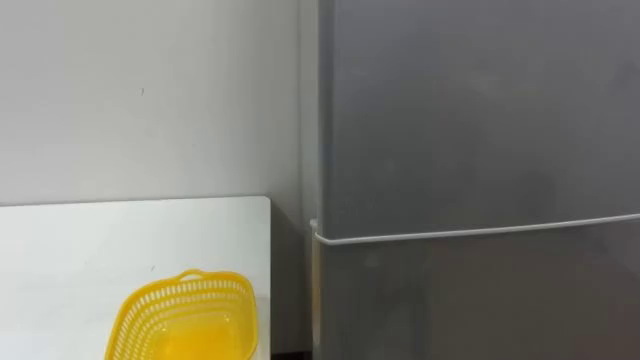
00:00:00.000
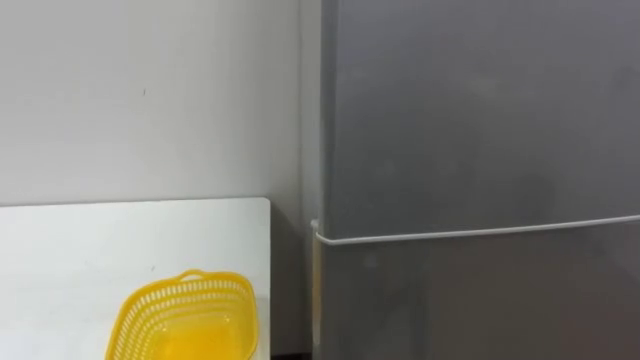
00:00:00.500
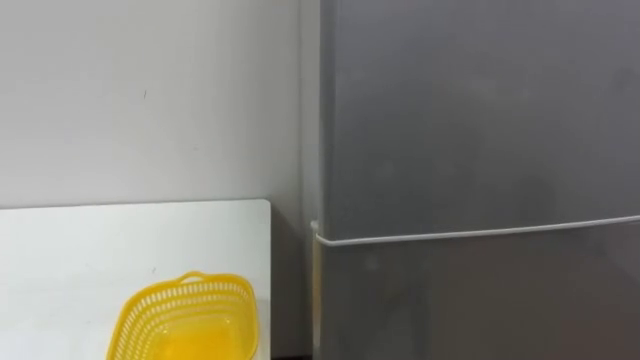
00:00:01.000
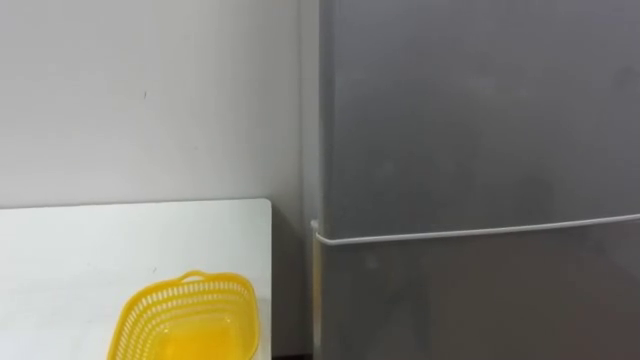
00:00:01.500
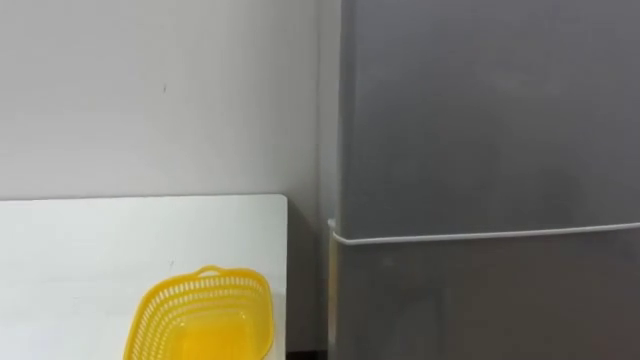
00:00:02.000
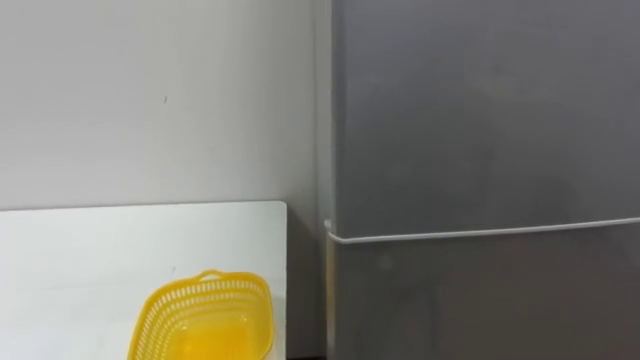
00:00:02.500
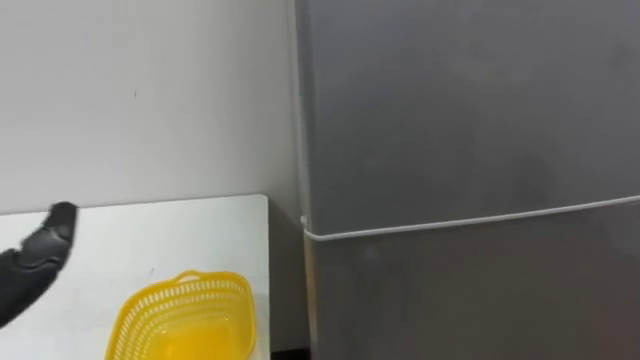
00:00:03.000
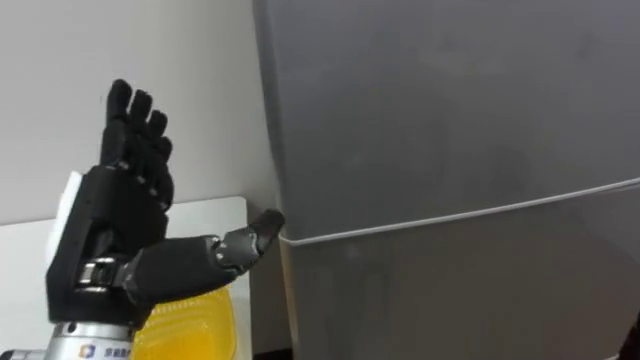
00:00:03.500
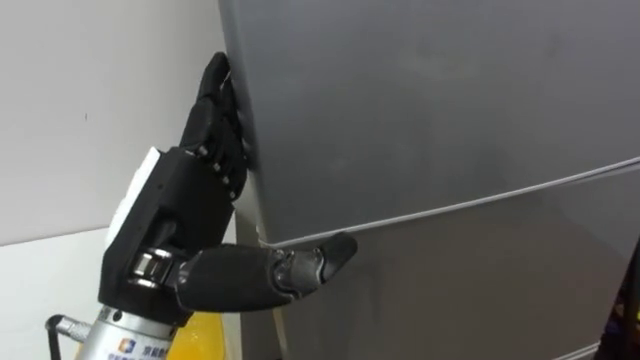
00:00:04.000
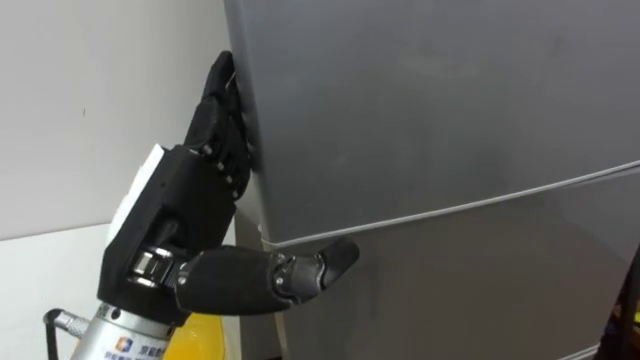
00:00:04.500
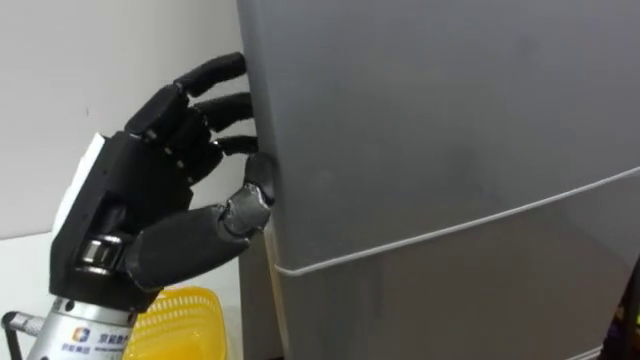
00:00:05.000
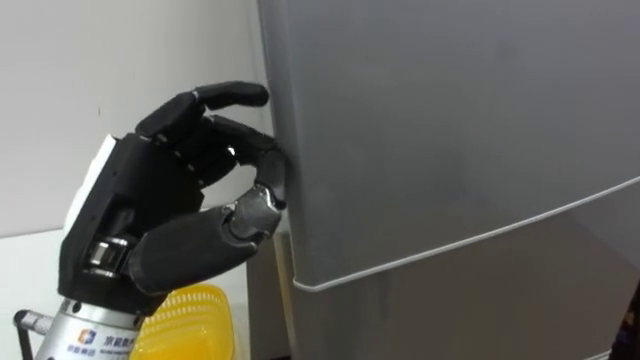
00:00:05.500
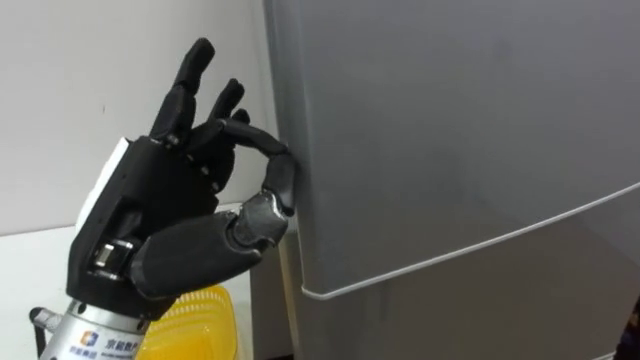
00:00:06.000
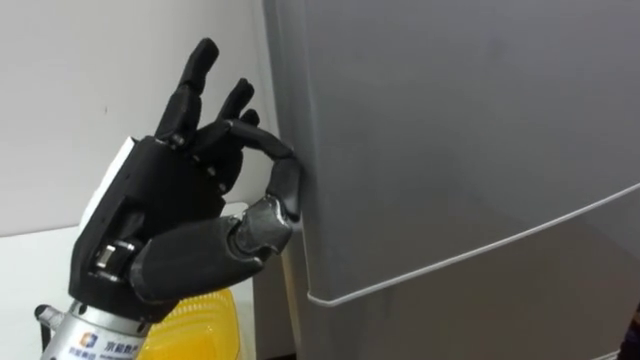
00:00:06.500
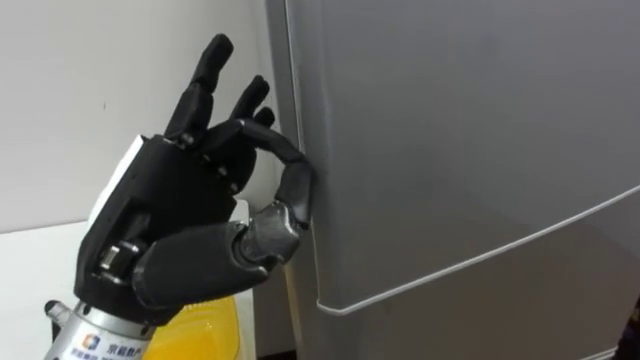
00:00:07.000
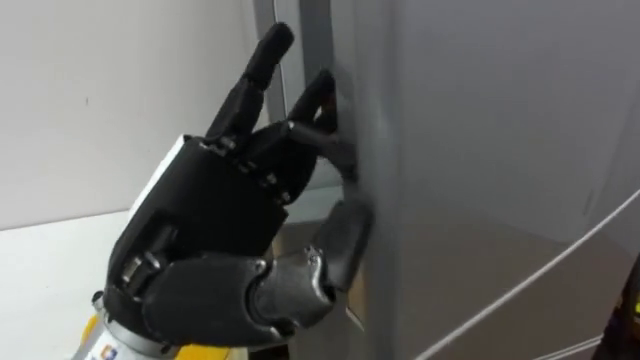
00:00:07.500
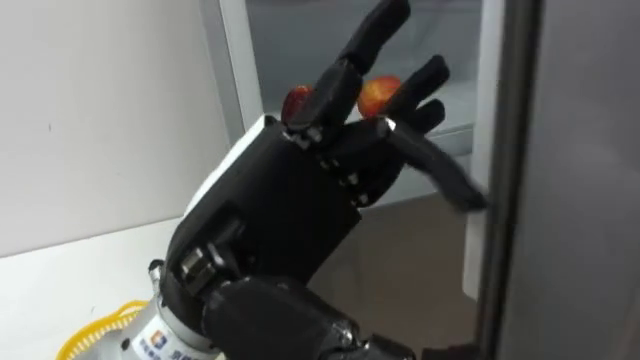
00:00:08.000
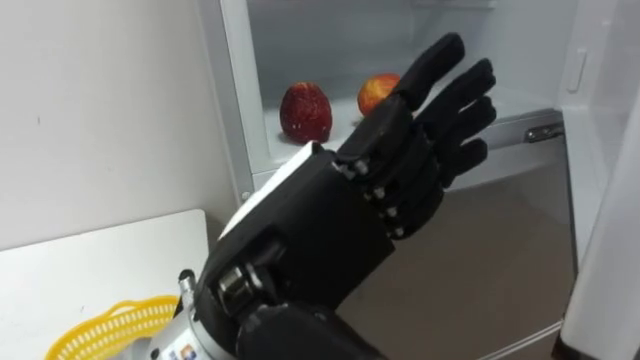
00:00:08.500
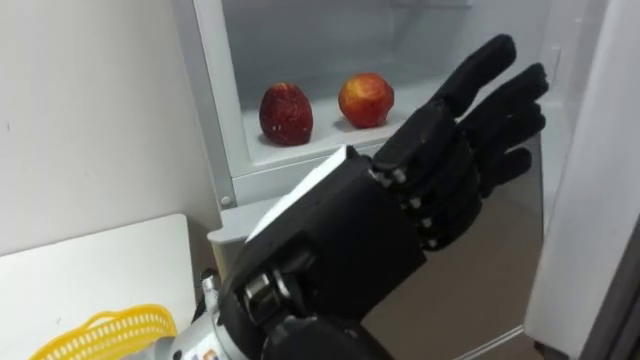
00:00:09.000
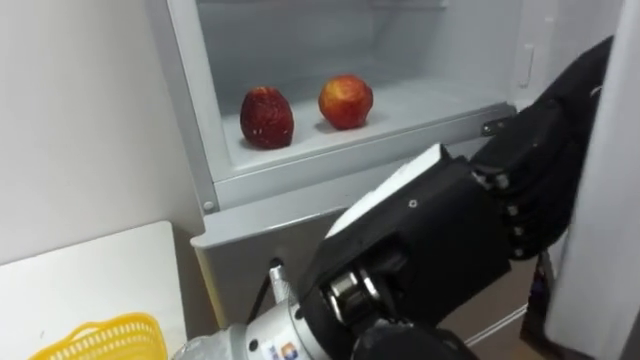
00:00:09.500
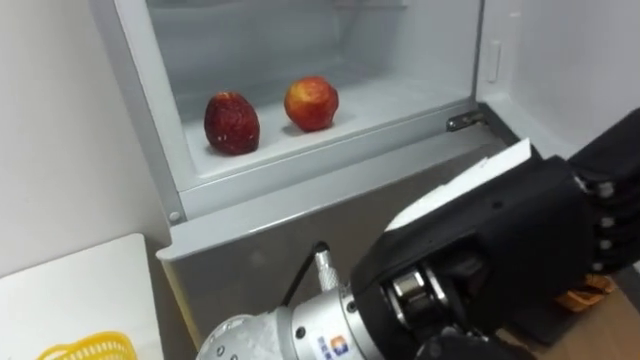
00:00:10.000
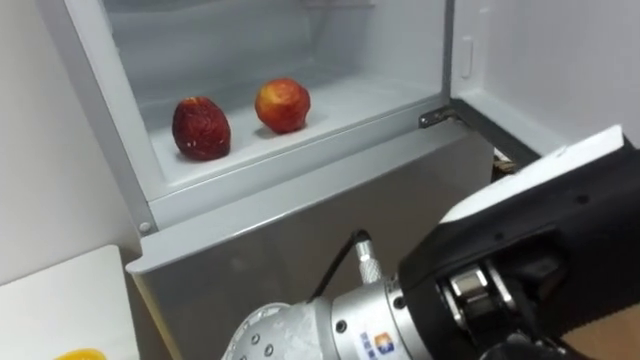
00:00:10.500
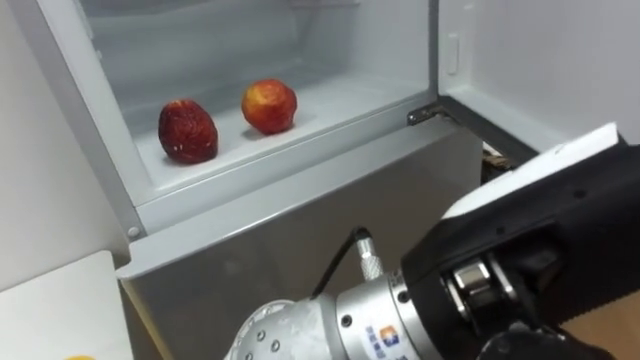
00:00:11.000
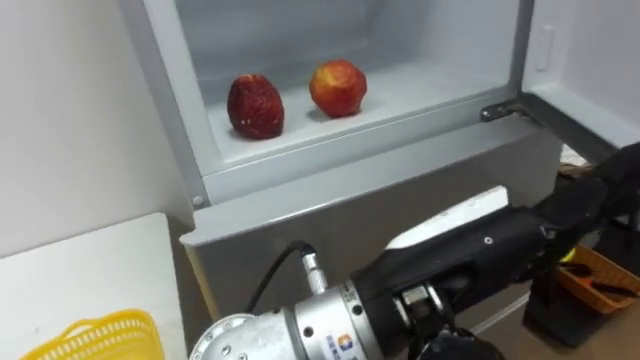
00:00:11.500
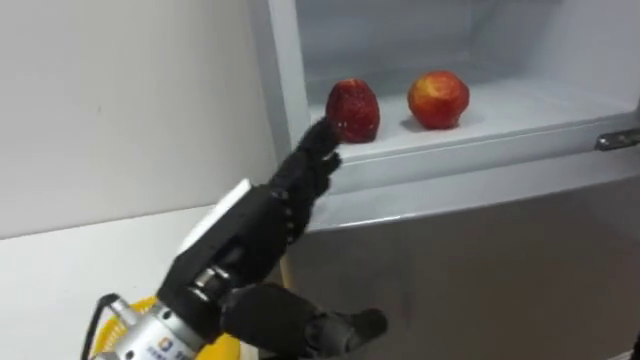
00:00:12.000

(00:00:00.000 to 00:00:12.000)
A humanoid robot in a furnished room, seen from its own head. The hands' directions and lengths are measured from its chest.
Task of the whole recording: Open the refrigerator door, take out the apple and the pomegranate, place them in the fruit basket on the left, and close the refrigerator door.
00:00:04.000 - 00:00:06.000: The left hand closes, then reopens.
00:00:06.000 - 00:00:08.000: The left hand goes approximately 10 cm to the right.
00:00:08.000 - 00:00:10.000: The left hand goes some 10 cm to the right.
00:00:10.000 - 00:00:12.000: The left hand goes approximately 15 cm to the left, forward and downward.

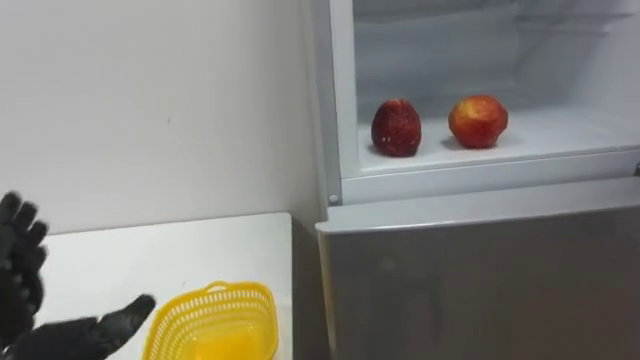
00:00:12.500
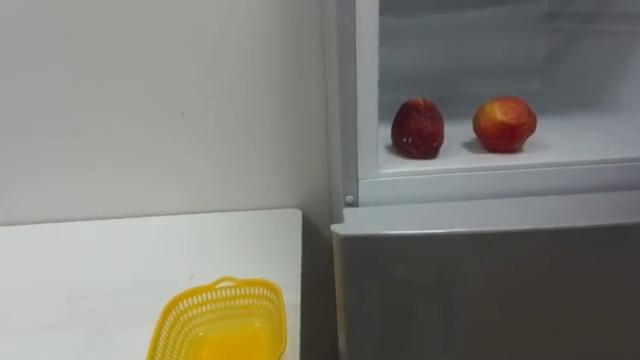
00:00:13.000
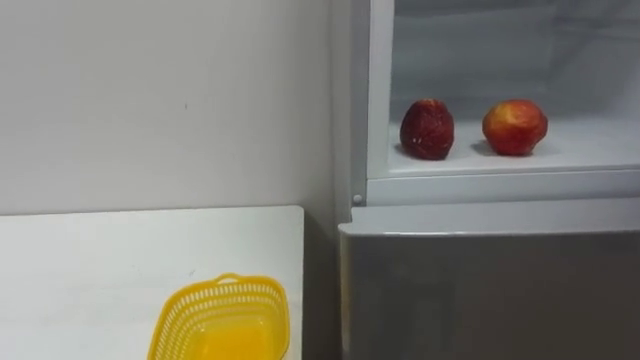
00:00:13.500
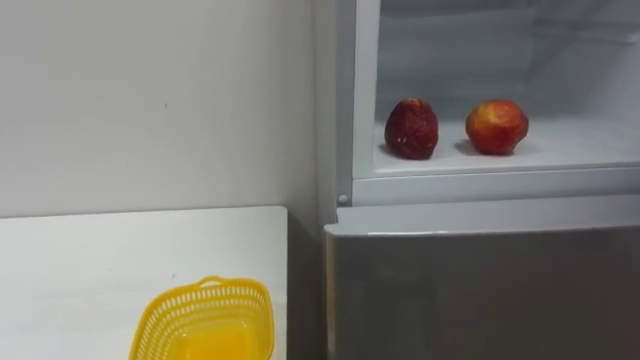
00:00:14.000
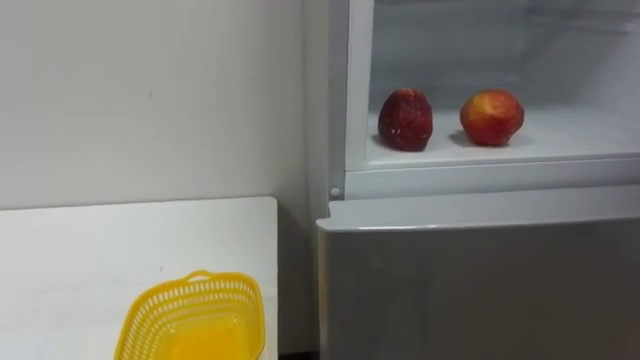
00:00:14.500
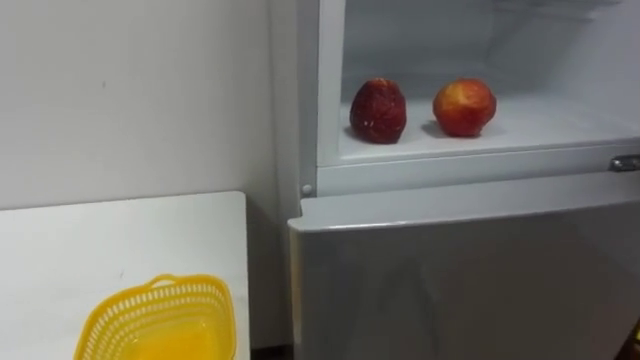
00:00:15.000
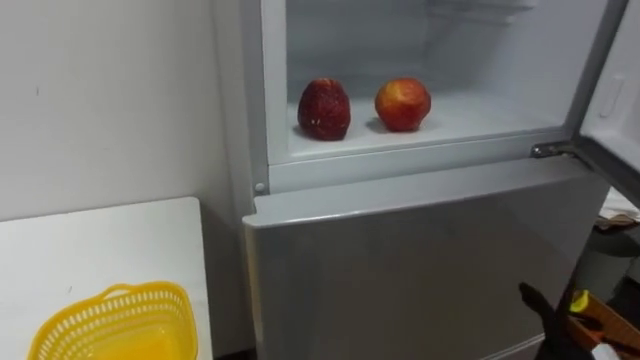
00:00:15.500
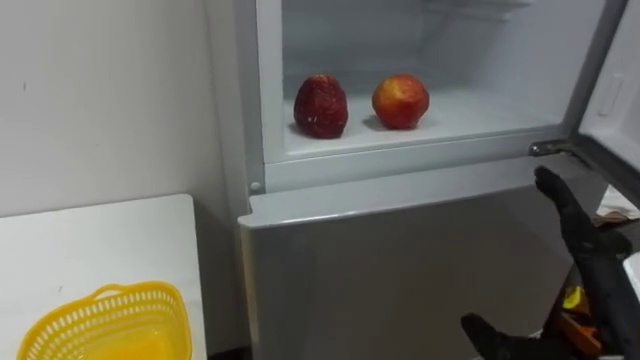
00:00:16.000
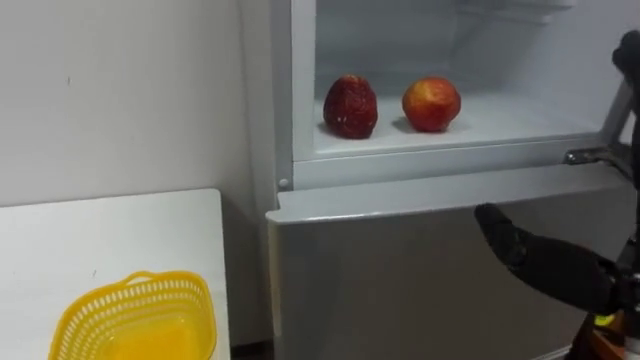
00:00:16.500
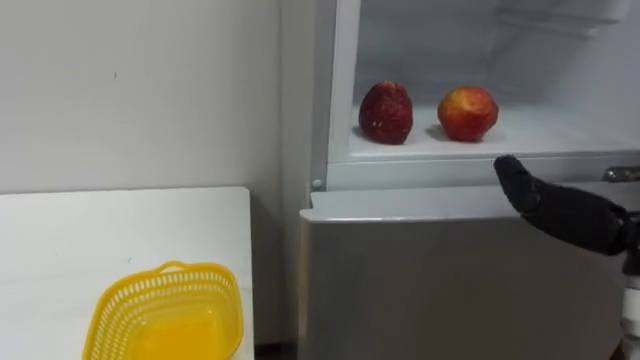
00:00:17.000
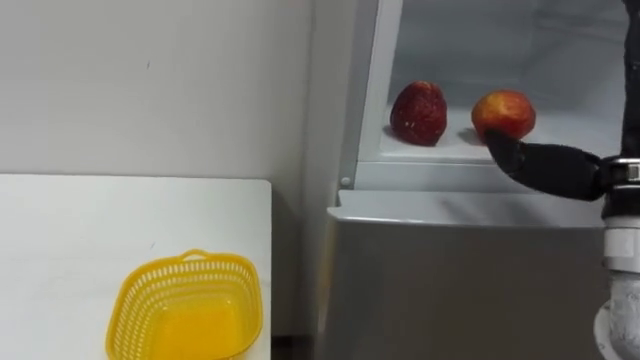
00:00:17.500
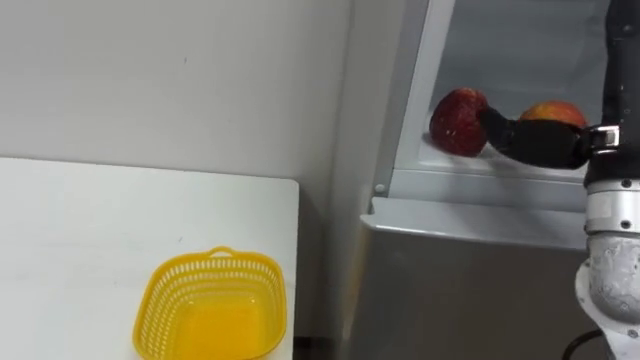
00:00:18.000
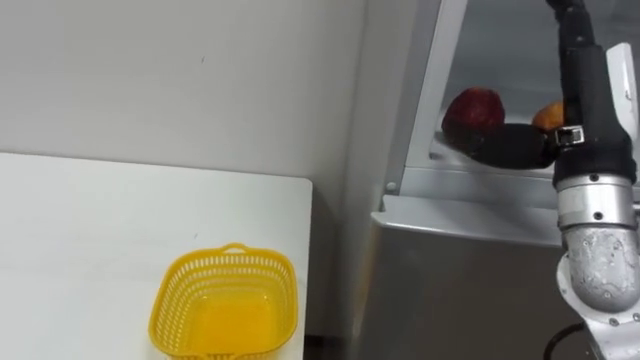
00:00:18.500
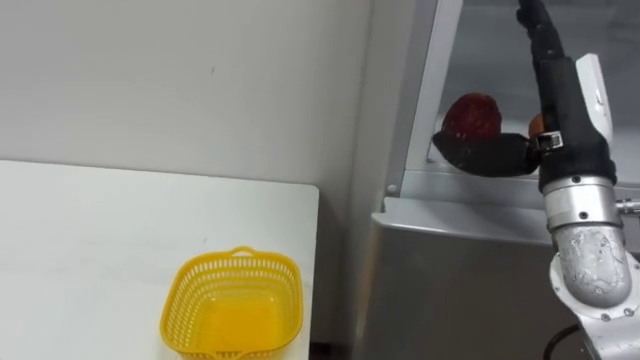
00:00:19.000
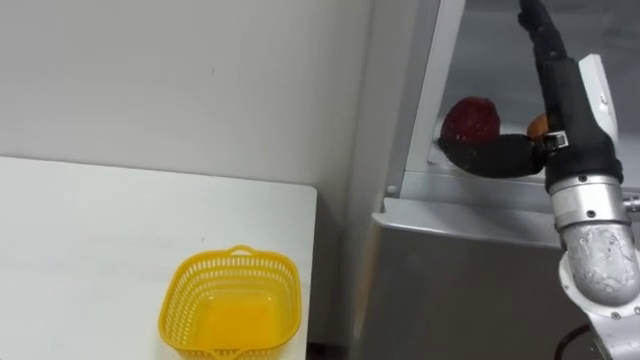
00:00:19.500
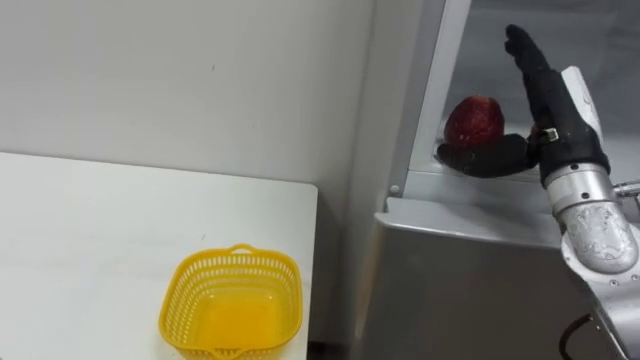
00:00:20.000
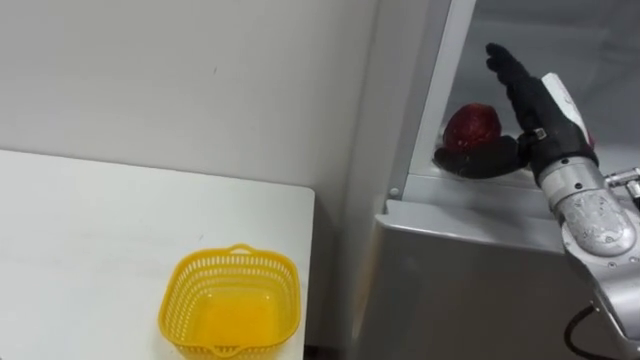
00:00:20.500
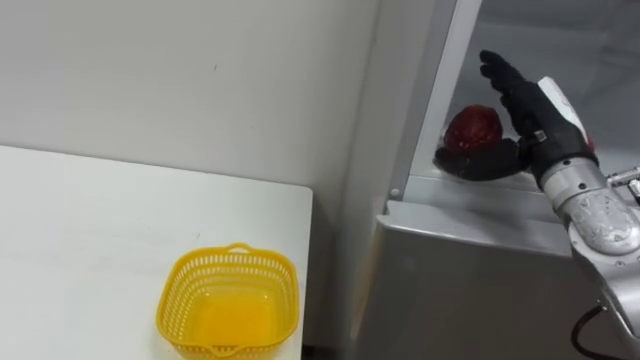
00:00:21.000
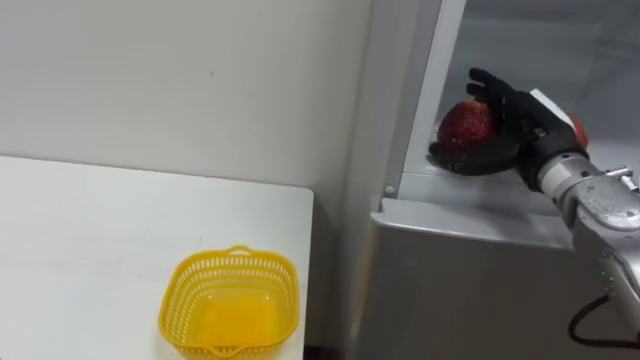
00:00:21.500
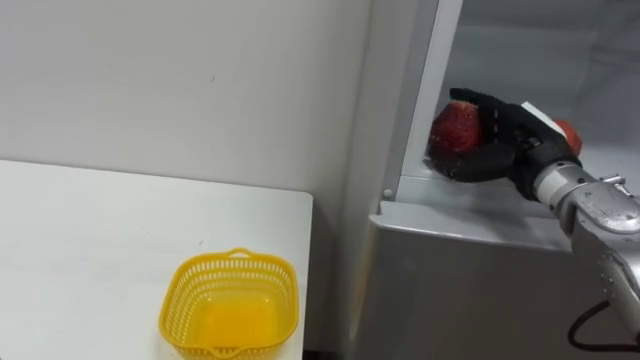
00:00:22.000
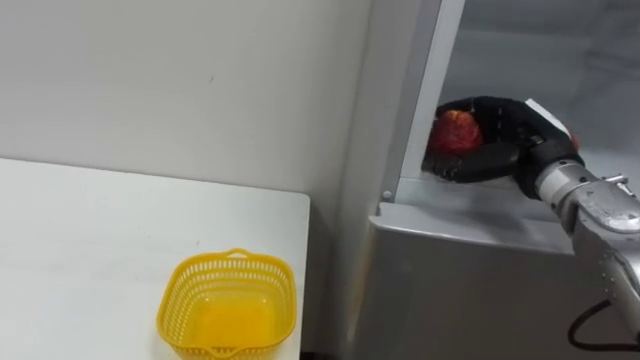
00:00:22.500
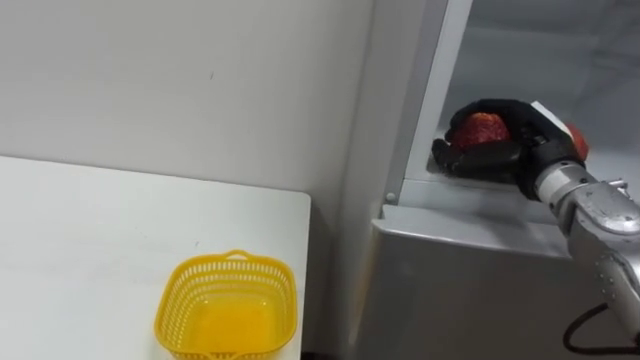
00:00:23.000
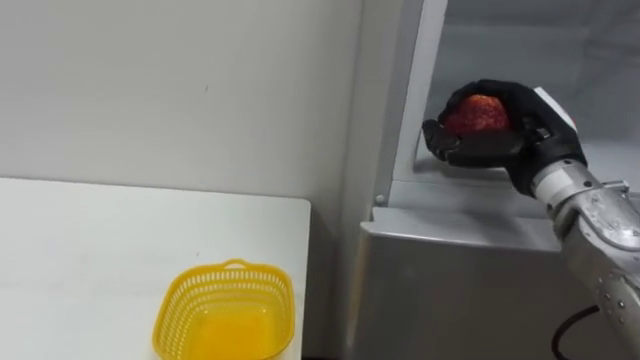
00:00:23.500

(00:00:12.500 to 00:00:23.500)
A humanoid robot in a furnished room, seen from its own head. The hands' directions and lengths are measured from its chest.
Task of the whole recording: Open the refrigerator door, take out the apple and the pomegranate, place them in the fruit basket on the left, and close the refrigerator door.
00:00:18.000 - 00:00:20.000: The right hand is displaced forward by about 5 cm.
00:00:21.500 - 00:00:23.500: The right hand closes its fingers.
